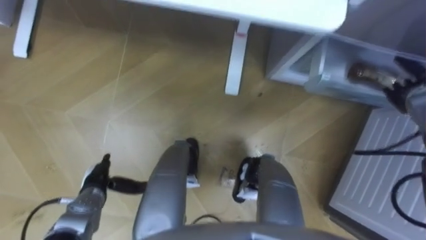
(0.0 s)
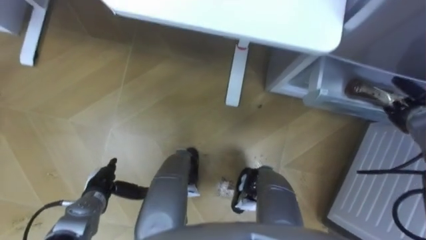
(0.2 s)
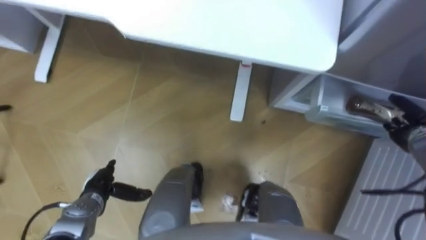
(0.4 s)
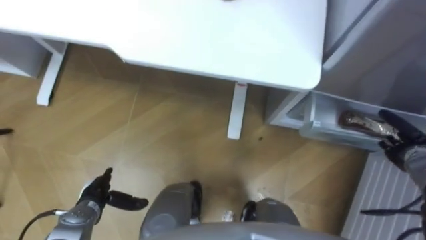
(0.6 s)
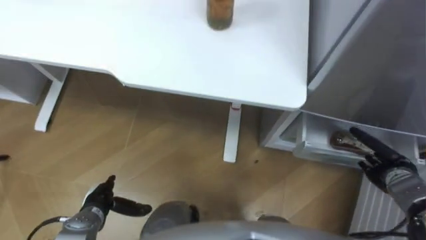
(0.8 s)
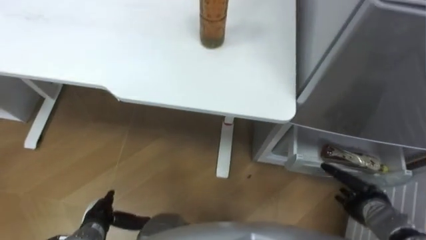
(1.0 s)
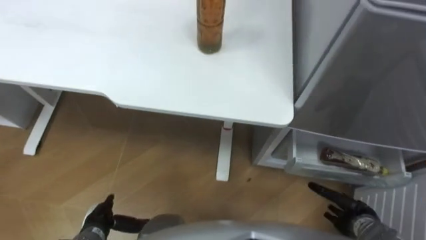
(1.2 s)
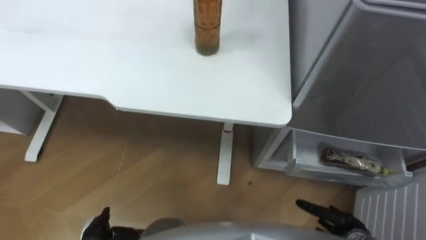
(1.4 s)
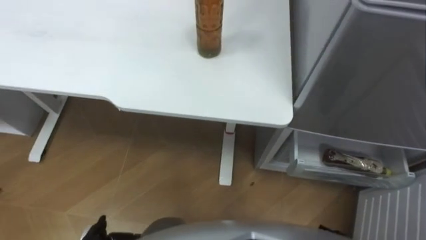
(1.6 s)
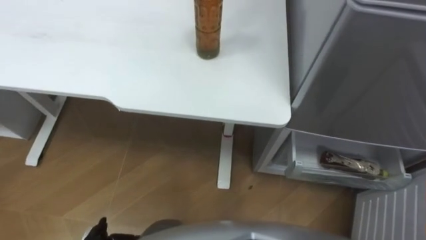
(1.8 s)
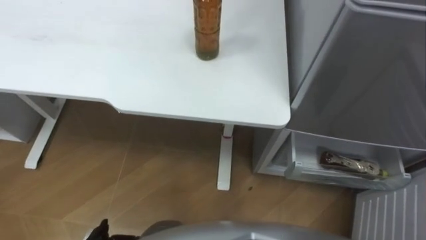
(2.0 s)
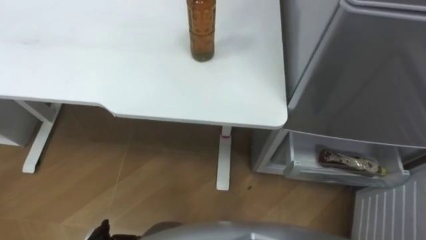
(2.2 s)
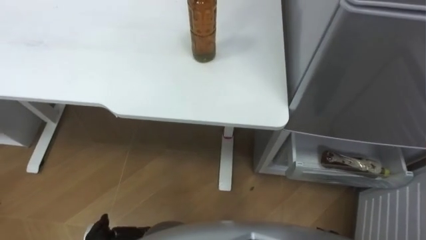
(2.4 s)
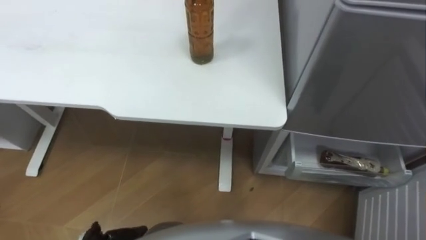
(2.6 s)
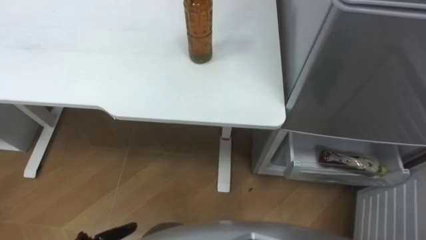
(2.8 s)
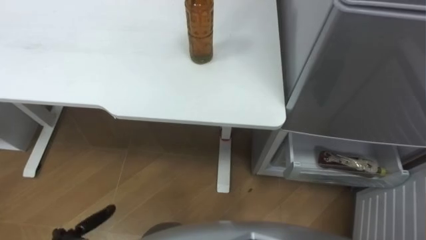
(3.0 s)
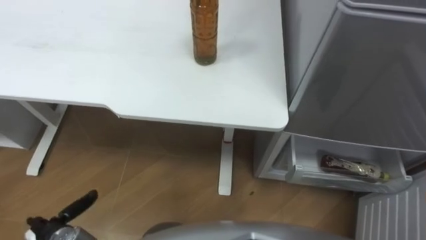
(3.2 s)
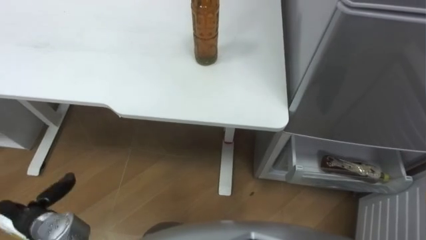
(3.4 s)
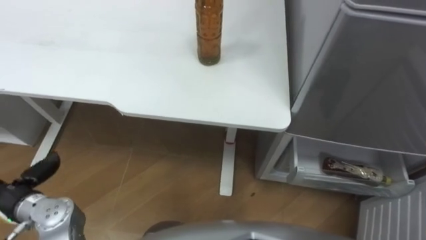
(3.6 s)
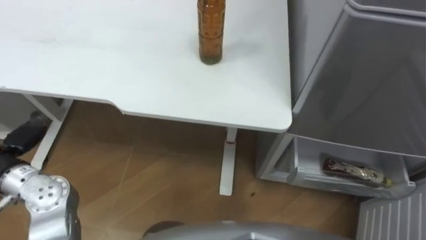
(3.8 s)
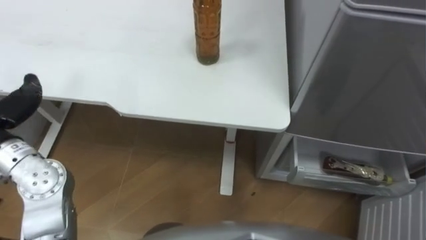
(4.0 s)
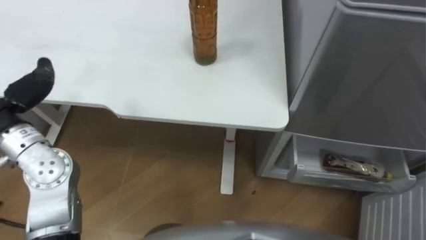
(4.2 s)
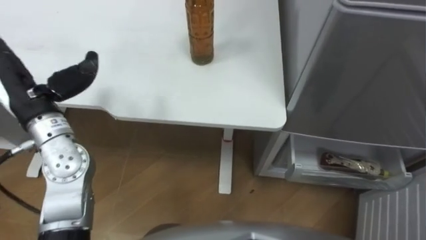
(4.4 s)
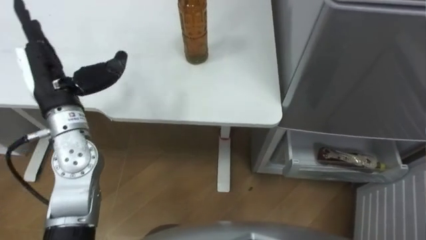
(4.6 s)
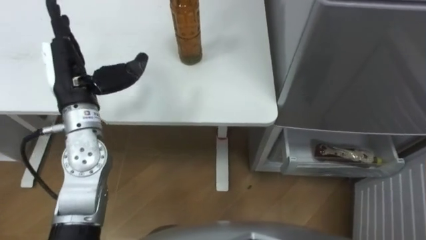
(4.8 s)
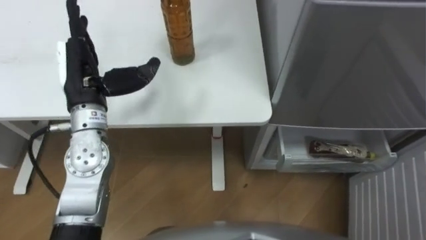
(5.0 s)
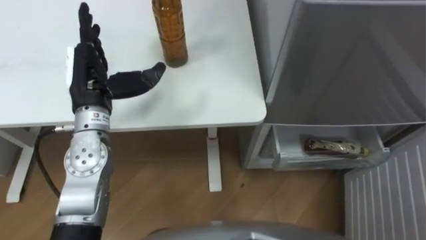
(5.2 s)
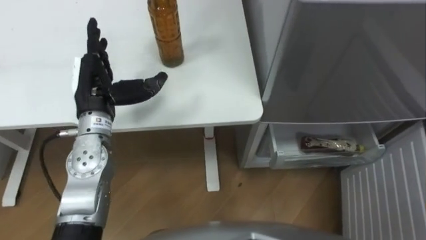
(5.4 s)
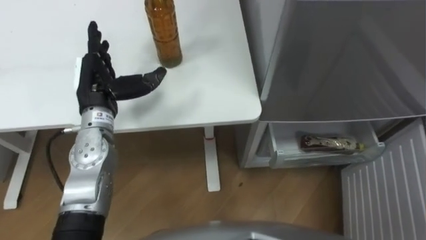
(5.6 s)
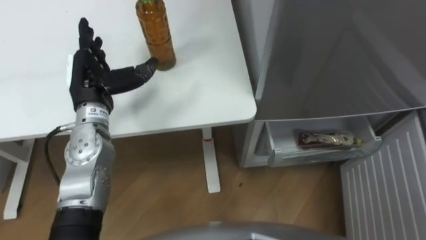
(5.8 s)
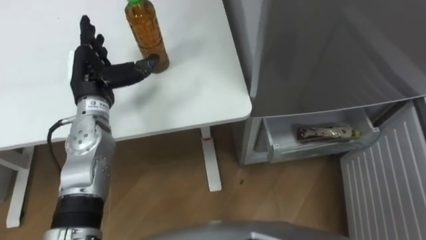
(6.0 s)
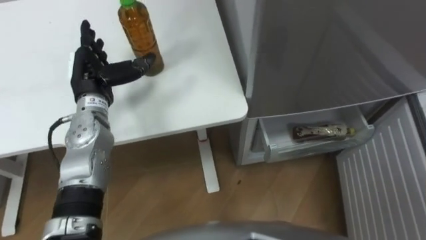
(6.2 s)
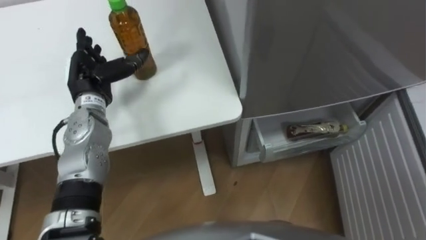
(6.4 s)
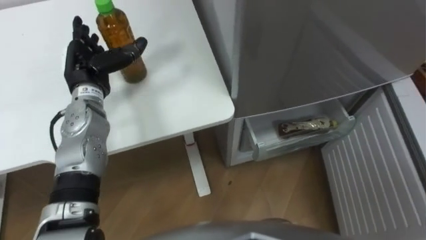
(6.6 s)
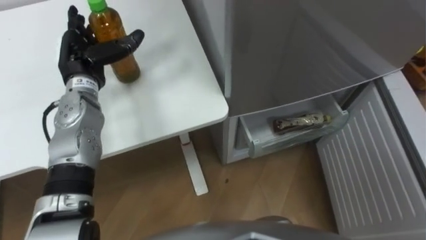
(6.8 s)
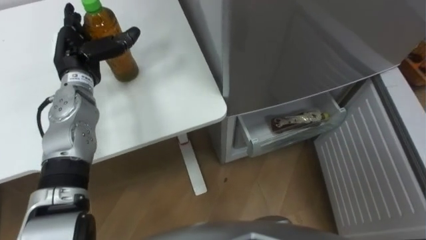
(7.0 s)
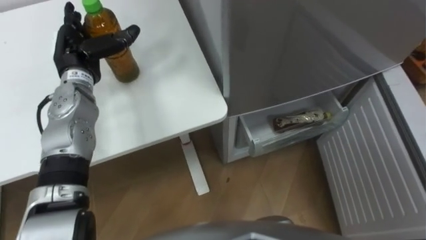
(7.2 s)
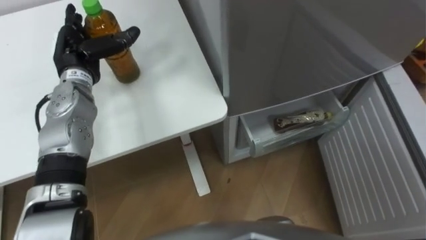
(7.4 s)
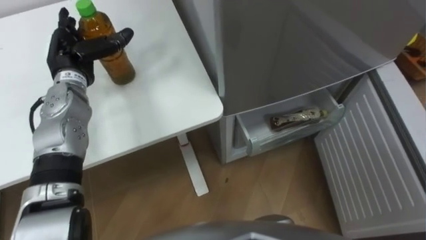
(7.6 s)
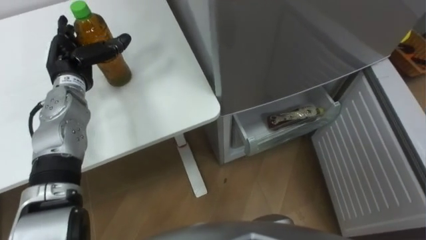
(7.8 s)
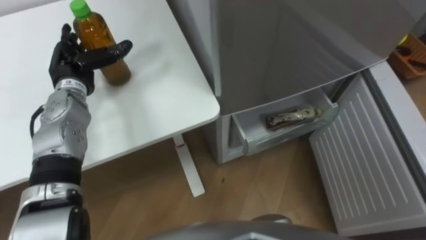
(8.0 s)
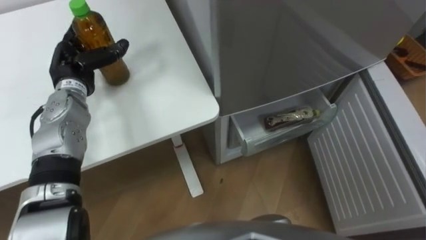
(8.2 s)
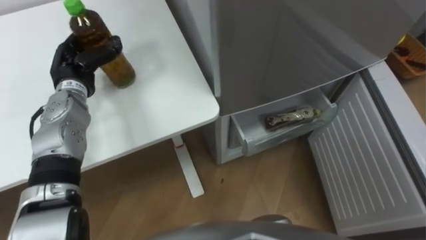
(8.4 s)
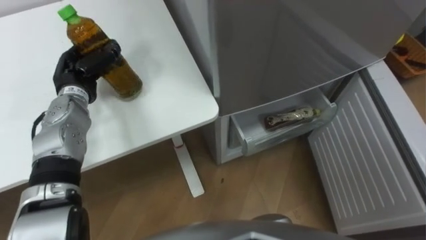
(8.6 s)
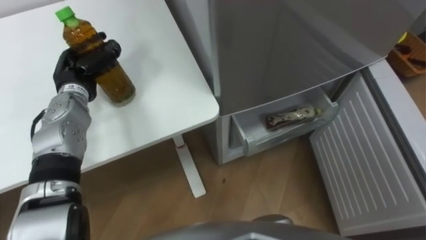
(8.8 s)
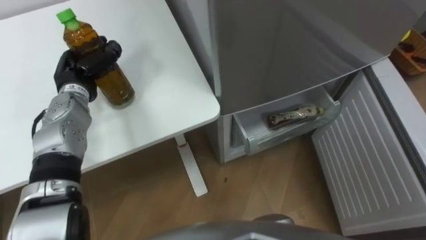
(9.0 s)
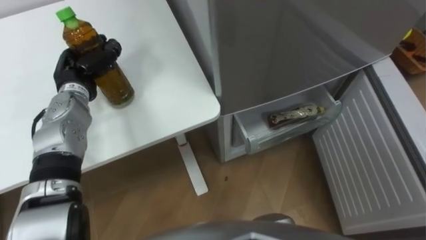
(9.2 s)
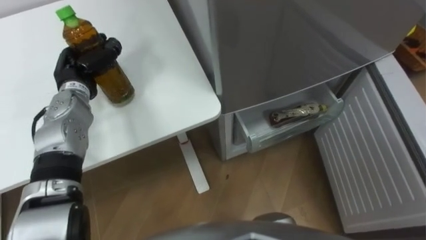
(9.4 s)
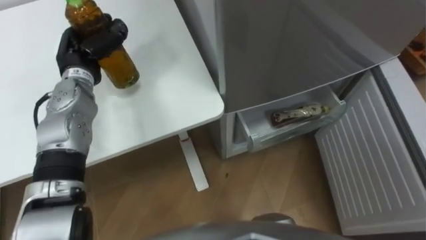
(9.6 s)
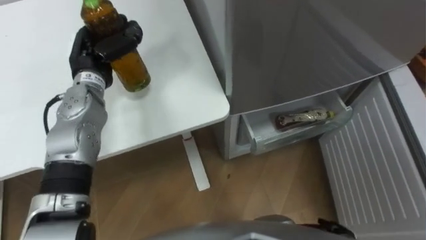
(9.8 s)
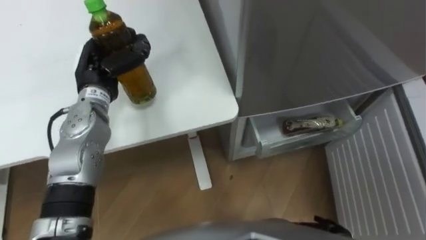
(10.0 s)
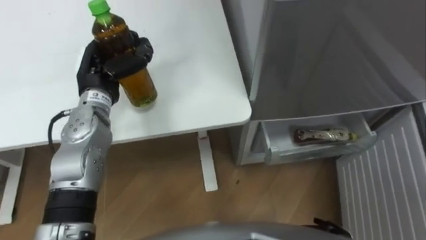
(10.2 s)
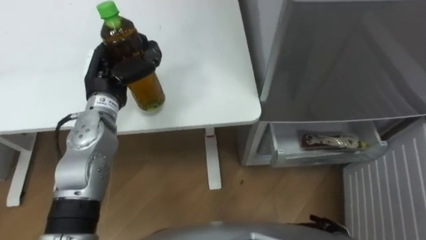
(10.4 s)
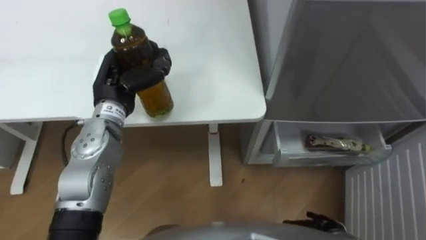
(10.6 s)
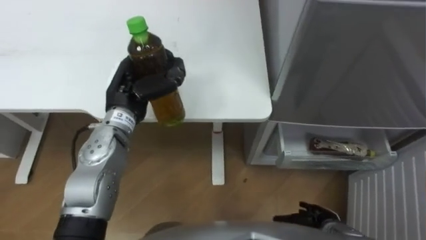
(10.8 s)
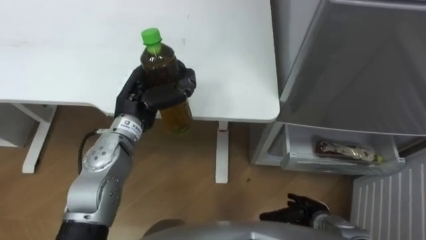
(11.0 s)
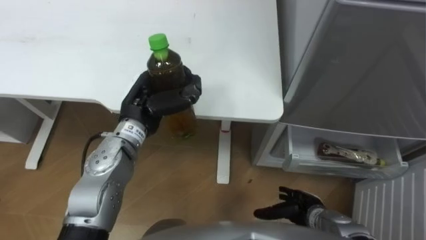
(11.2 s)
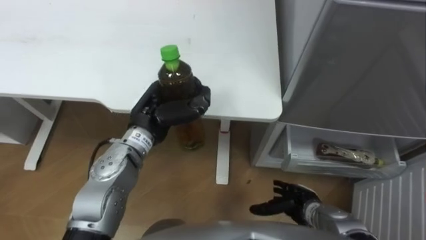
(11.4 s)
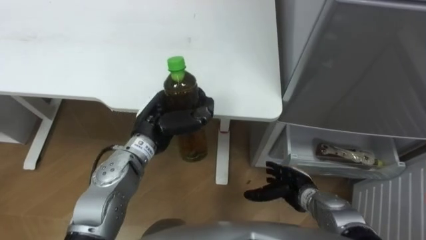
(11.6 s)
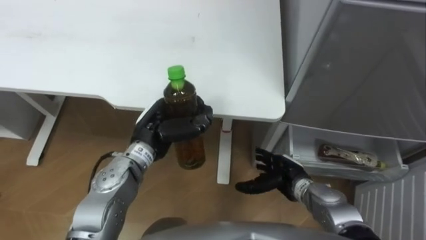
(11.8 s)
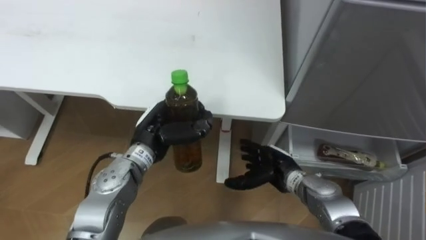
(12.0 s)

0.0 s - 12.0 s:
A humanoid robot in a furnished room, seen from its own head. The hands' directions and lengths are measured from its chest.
Task of the whole recording: Place the drink on the table on the bottom shelf of the refrigerator, then close the drawer and the refrigerator door.
4.4 s - 6.0 s: The left hand goes about 10 cm to the right and forward.
6.0 s - 7.6 s: The left hand moves roughly 5 cm.
7.6 s - 9.0 s: The left hand closes its fingers.
9.0 s - 10.4 s: The left hand shifts about 5 cm to the right.
10.4 s - 12.0 s: The left hand heads to the right, backward and downward, covering roughly 15 cm, while the right hand goes about 20 cm forward, to the left and upward.

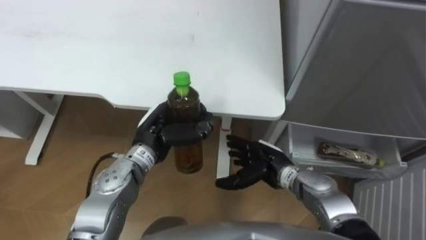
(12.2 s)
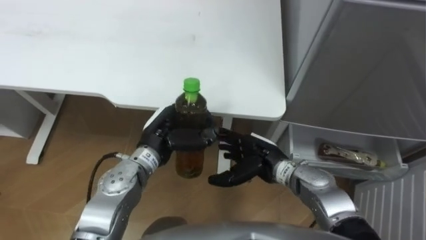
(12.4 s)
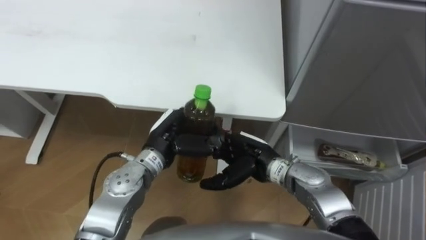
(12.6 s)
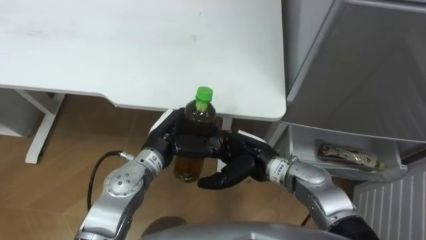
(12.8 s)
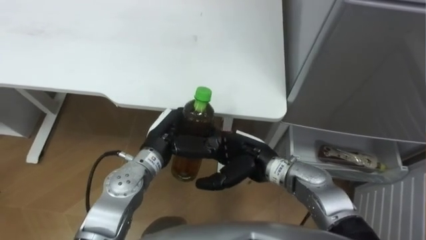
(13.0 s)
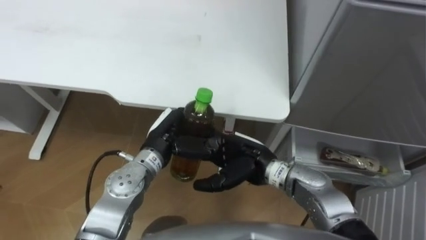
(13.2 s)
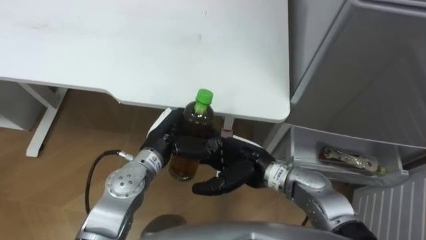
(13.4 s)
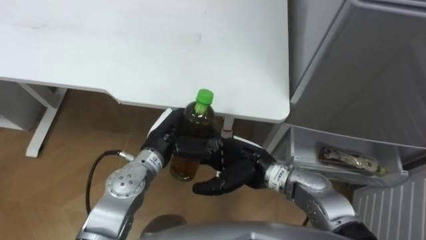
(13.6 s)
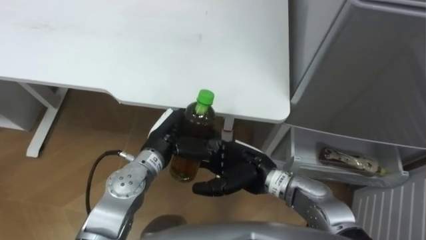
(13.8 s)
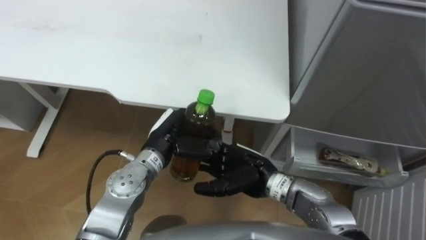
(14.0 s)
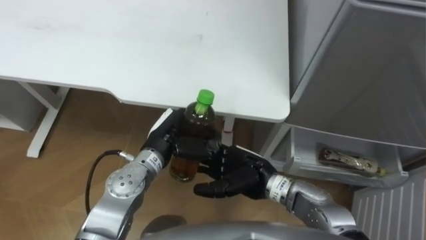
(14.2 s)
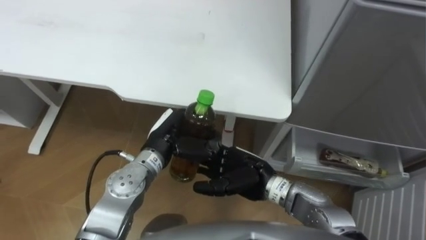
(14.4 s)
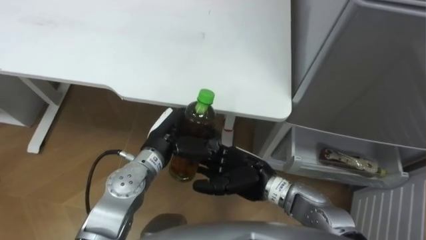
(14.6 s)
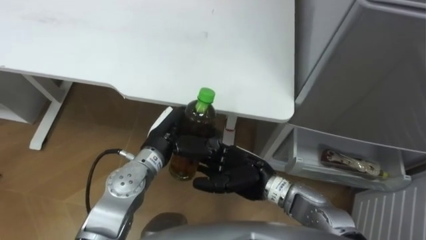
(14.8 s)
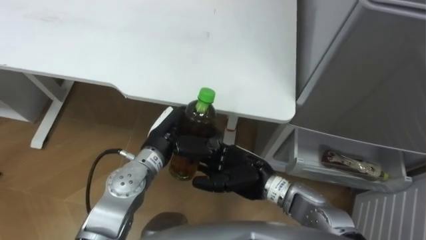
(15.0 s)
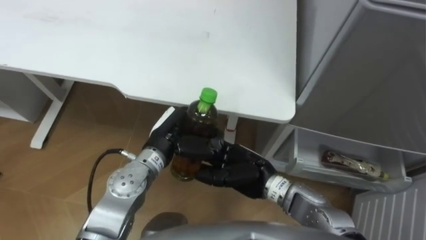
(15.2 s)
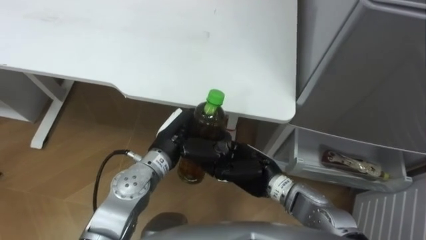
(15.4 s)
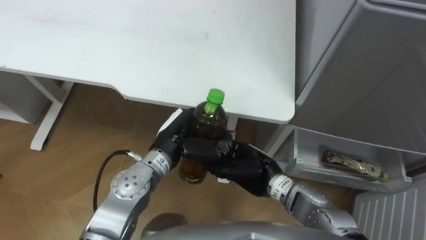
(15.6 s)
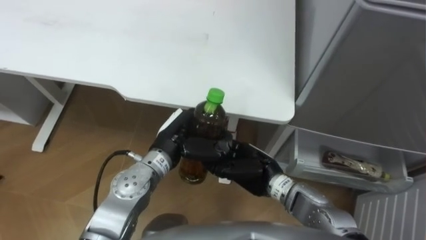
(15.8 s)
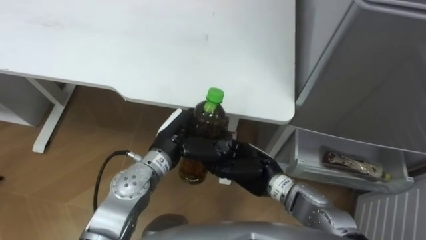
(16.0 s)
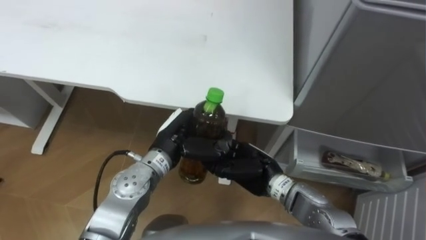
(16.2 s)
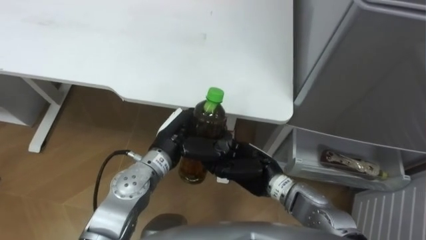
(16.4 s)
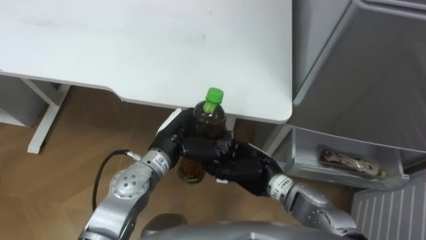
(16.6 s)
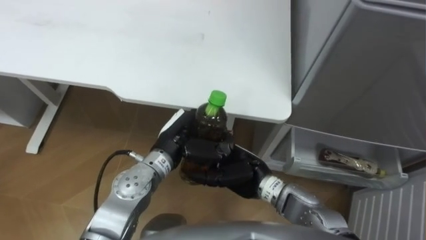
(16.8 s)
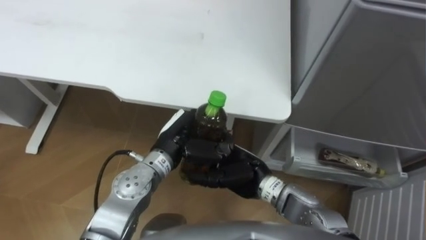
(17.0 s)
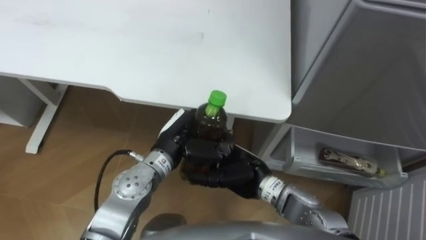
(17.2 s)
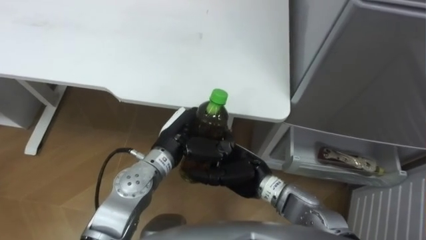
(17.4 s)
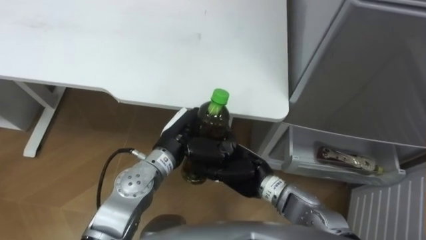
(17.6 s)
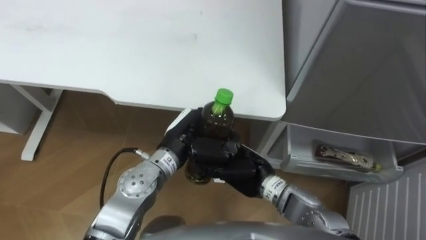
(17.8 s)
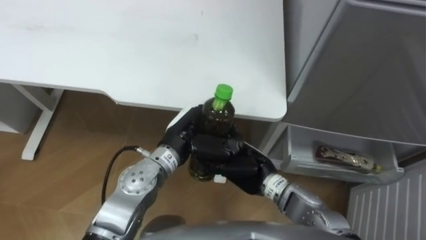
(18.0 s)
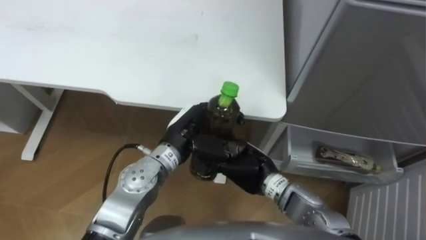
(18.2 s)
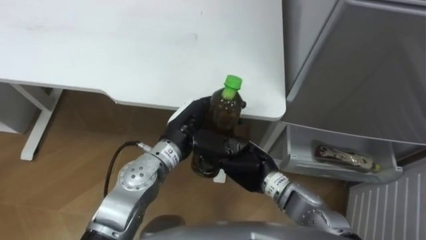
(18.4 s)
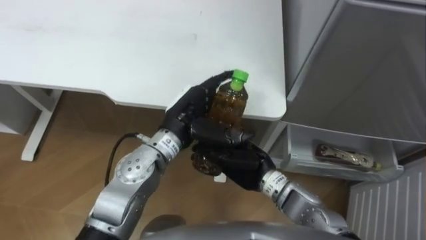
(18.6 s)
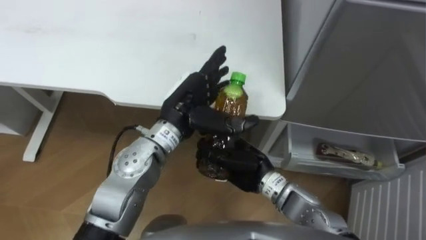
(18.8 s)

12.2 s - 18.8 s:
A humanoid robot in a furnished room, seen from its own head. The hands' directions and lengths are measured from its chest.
Task of the whole recording: Place the drink on the table on the bottom shelf of the refrigerator, then close the drawer and the refrigerator door.
12.2 s - 13.8 s: The right hand travels to the left and upward by approximately 10 cm.
13.8 s - 17.2 s: The hands move only a little.
17.2 s - 18.8 s: The left hand shifts about 5 cm upward, and opens up, while the right hand closes.
